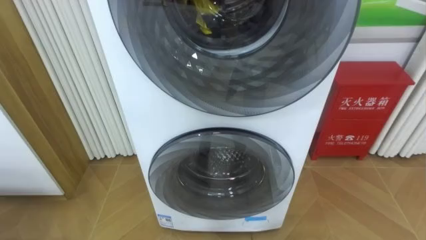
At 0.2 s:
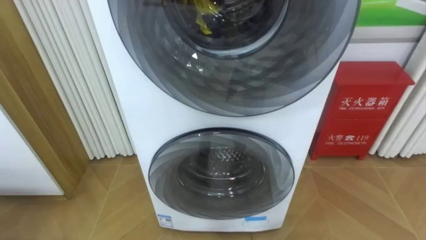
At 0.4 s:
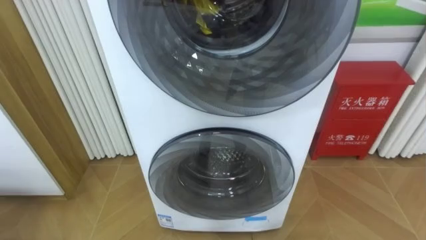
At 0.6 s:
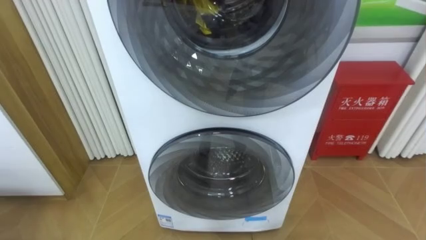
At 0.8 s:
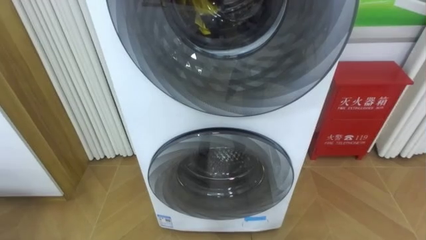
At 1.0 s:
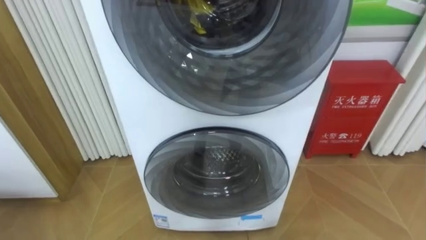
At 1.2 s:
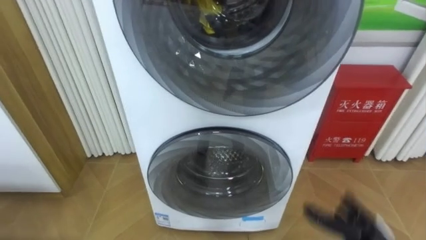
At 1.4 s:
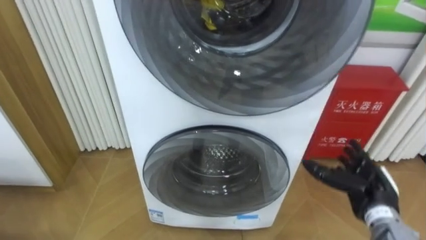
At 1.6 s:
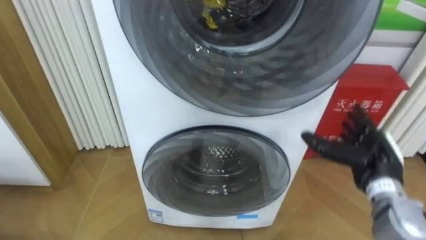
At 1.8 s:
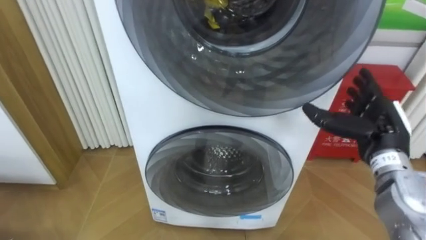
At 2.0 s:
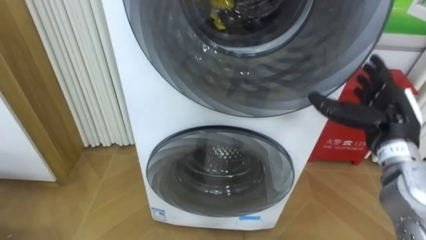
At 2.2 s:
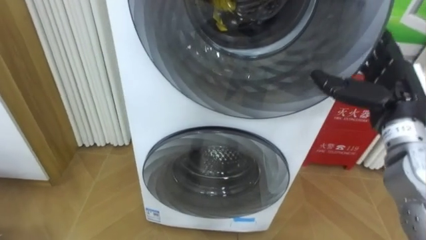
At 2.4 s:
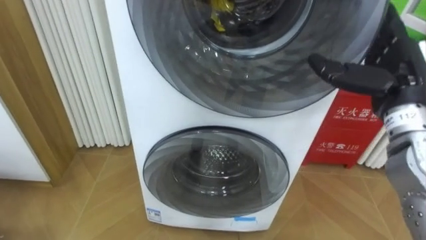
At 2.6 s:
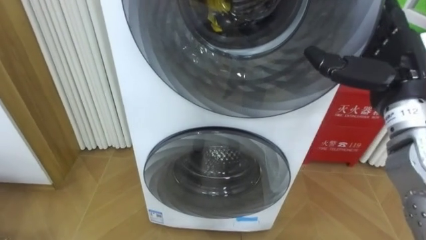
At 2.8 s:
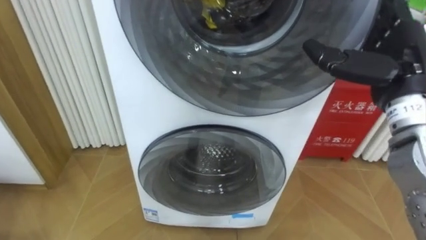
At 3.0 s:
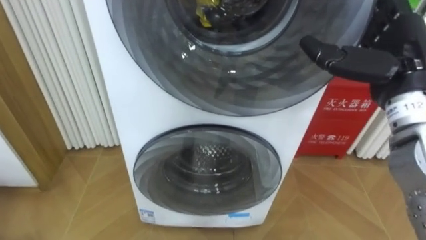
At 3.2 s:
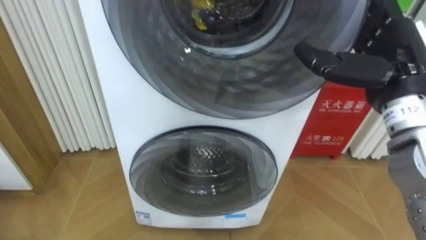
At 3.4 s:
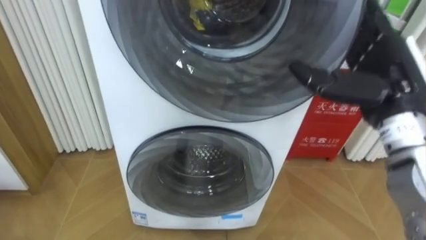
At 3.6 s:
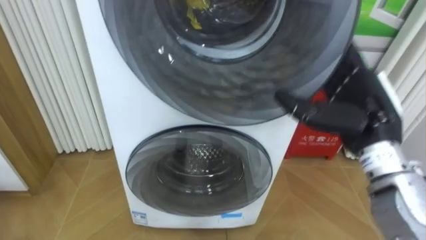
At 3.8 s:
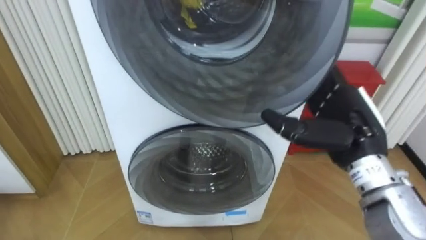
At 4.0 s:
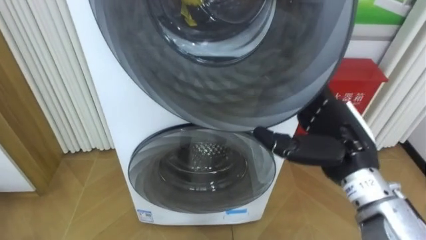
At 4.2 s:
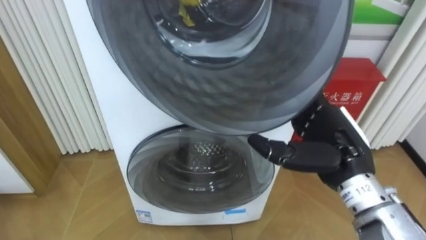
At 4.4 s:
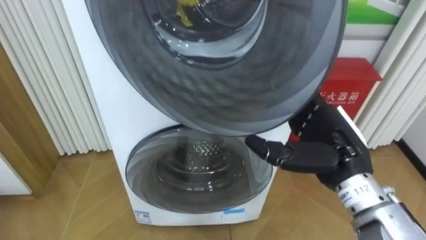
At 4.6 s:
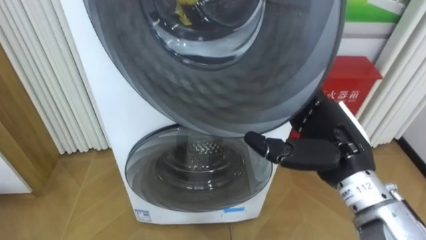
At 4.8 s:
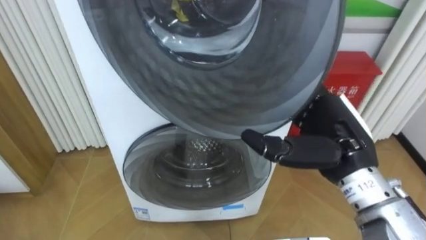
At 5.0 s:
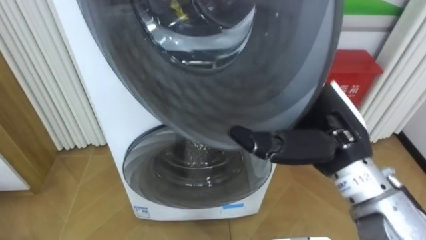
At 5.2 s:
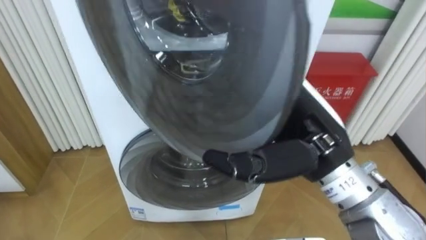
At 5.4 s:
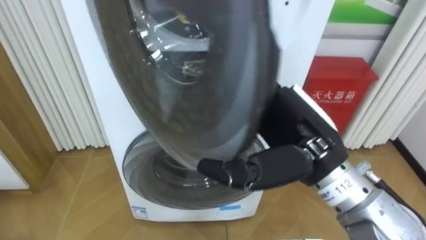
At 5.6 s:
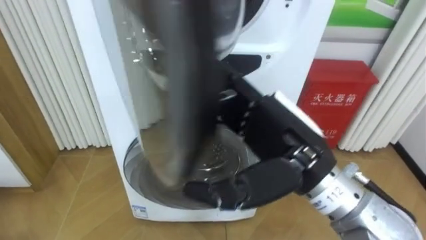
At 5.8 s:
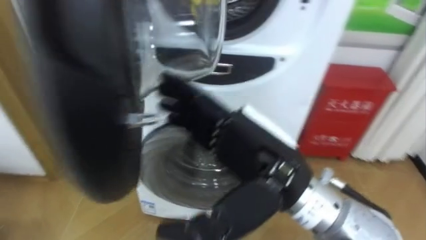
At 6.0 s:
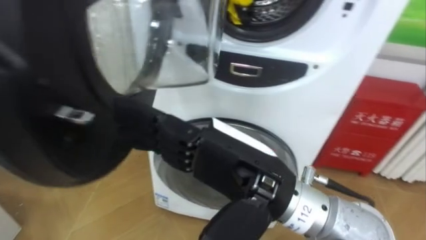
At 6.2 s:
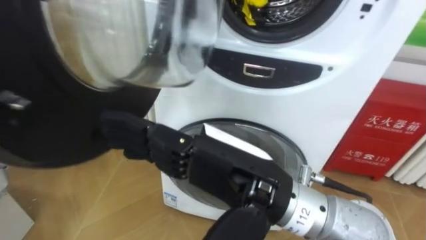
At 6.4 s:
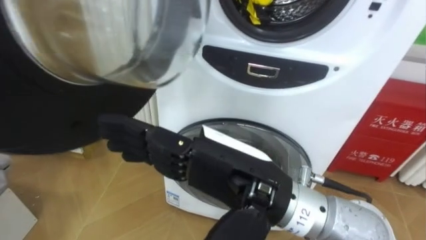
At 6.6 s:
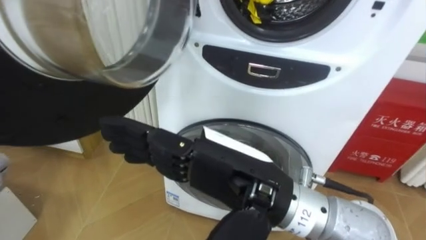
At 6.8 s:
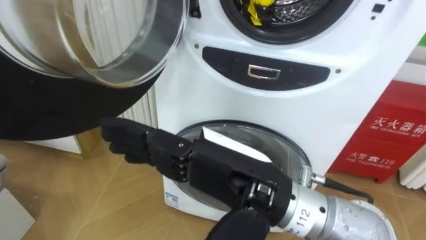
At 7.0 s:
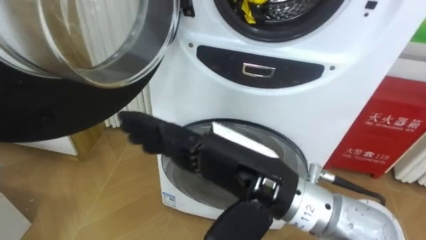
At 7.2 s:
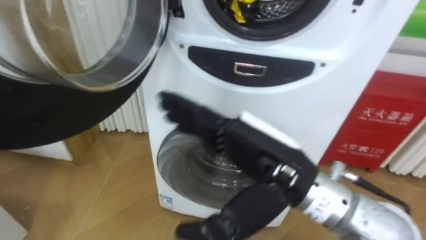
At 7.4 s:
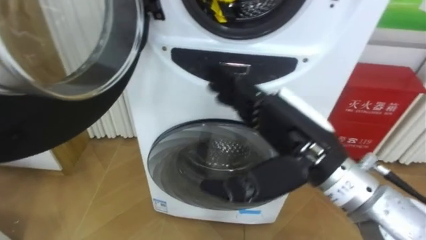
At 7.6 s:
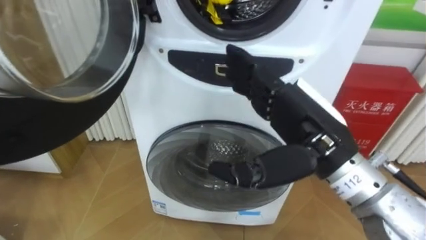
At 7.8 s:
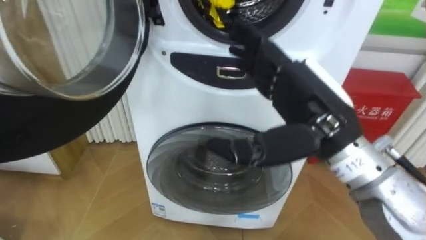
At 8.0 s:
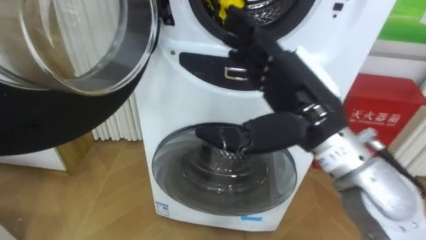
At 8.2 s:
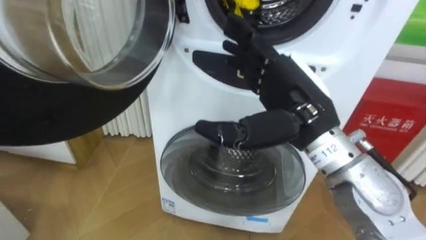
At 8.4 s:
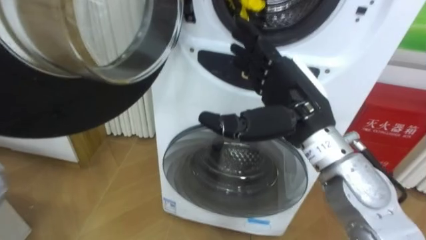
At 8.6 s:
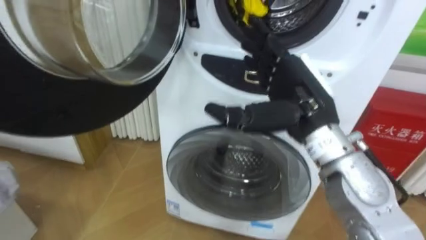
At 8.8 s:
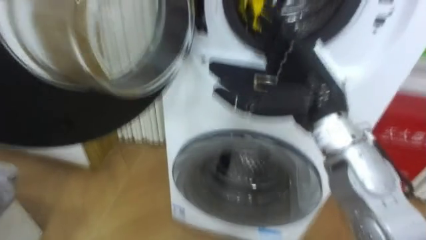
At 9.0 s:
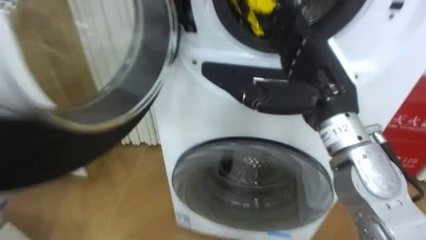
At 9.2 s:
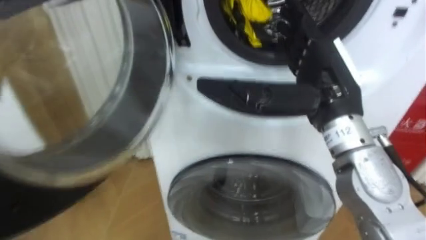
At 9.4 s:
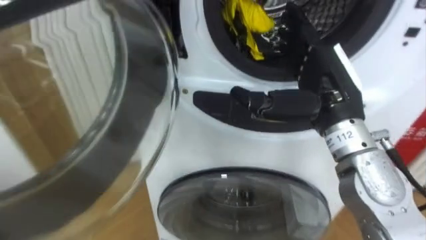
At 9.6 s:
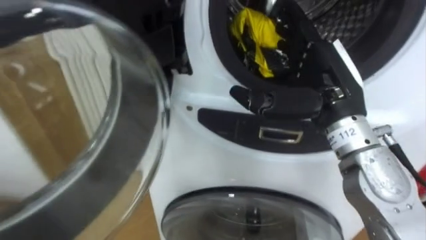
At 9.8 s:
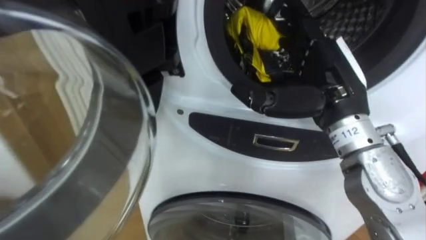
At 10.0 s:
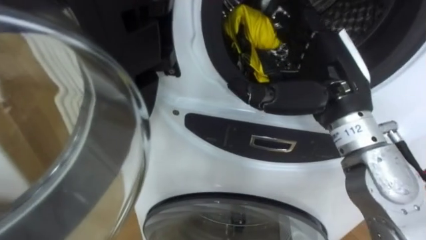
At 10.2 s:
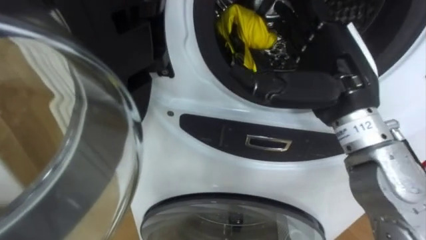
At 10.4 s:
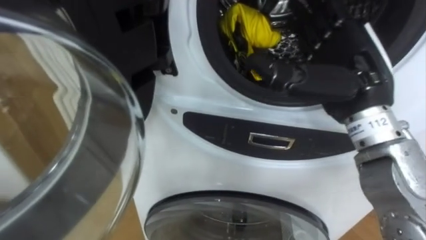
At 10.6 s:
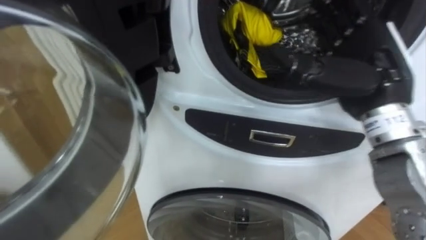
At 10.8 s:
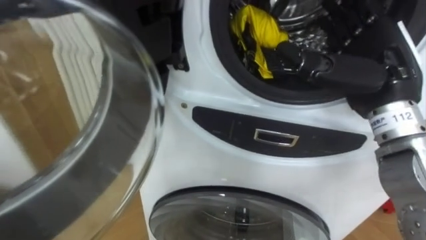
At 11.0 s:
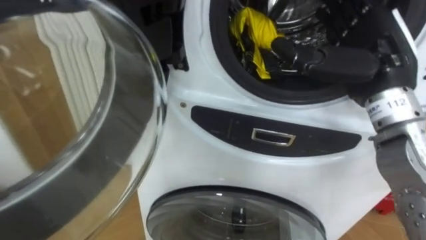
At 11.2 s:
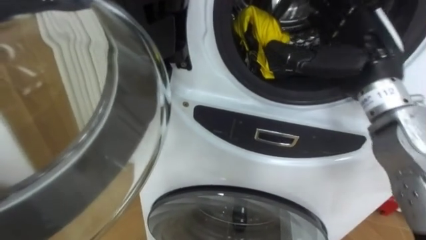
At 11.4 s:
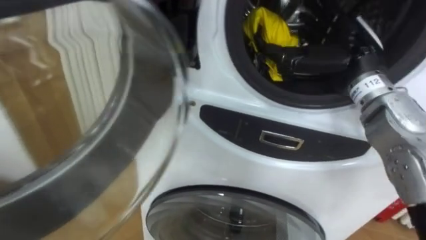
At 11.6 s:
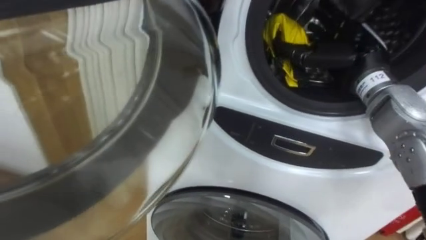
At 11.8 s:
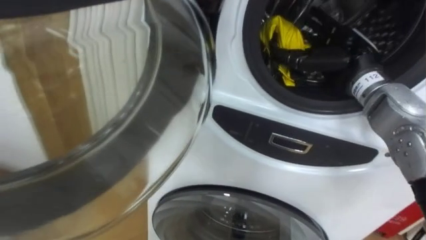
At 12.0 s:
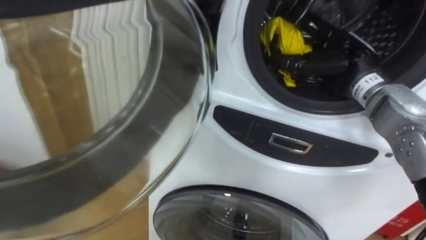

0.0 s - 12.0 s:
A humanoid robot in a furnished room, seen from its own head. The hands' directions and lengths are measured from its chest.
Task of the whole recording: Open the washing machine door, take out the yellow clothes, place them in the box on the right, and close the washing machine door.
1.6 s - 3.0 s: The right hand heads upward, covering roughly 20 cm.
3.0 s - 4.4 s: The right hand goes roughly 10 cm downward and to the left.
4.4 s - 6.0 s: The right hand travels to the left, backward and upward by some 20 cm.
6.0 s - 7.6 s: The right hand shifts approximately 10 cm to the right and forward.
7.6 s - 9.0 s: The right hand shifts some 5 cm forward.
10.4 s - 12.0 s: The right hand heads forward and downward, covering some 10 cm.

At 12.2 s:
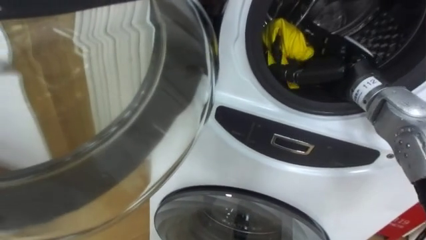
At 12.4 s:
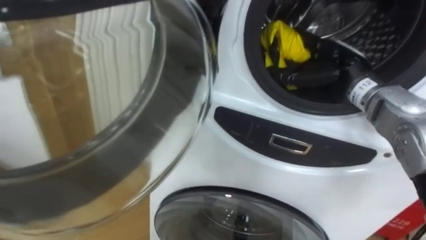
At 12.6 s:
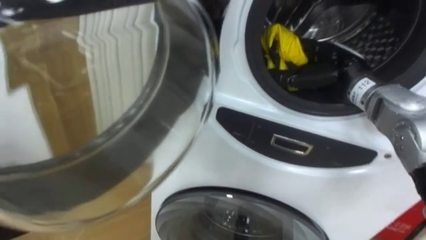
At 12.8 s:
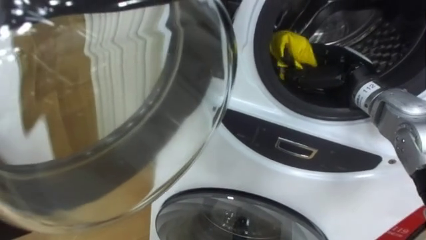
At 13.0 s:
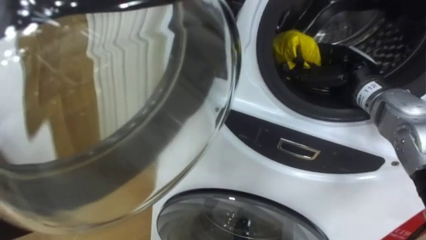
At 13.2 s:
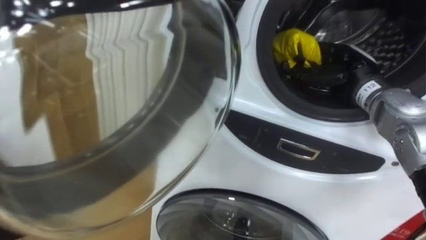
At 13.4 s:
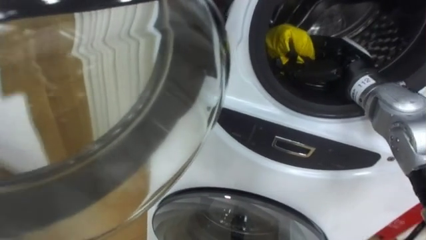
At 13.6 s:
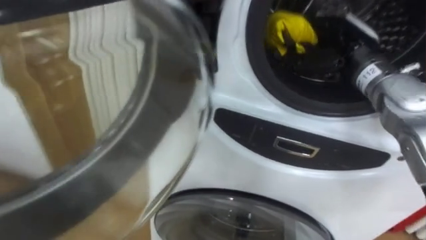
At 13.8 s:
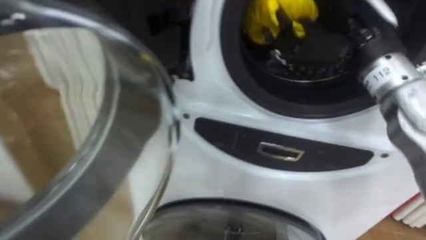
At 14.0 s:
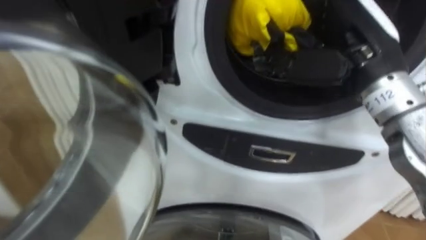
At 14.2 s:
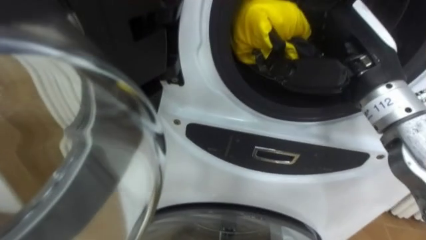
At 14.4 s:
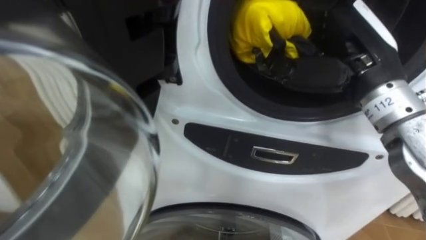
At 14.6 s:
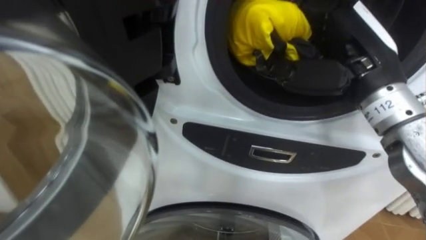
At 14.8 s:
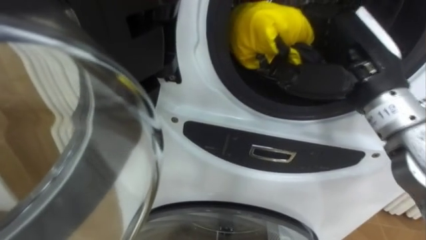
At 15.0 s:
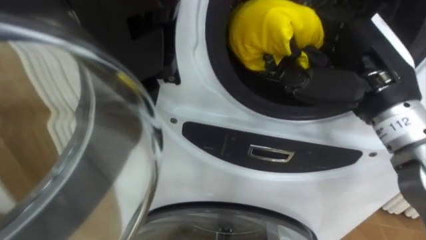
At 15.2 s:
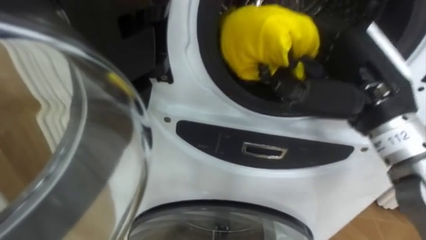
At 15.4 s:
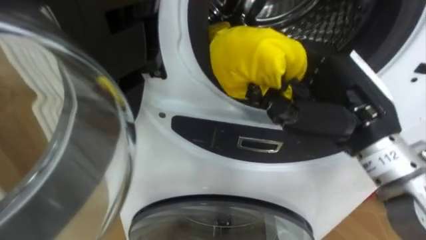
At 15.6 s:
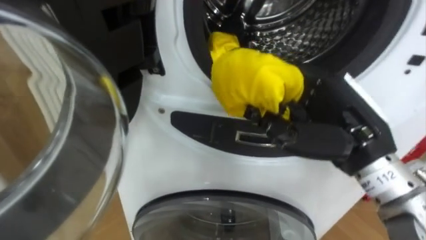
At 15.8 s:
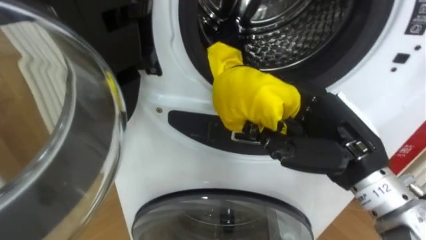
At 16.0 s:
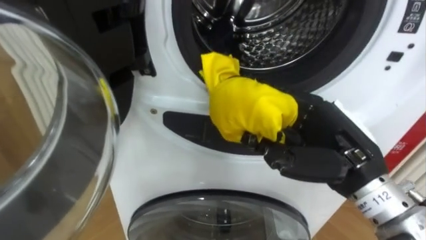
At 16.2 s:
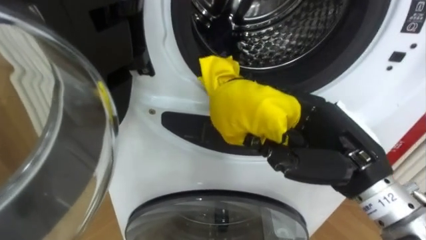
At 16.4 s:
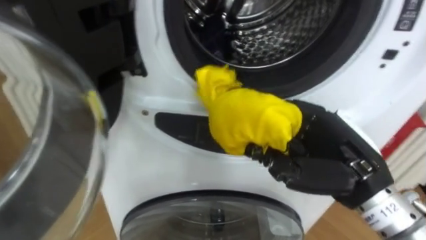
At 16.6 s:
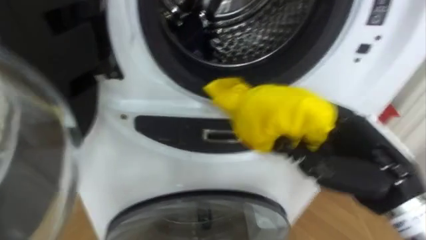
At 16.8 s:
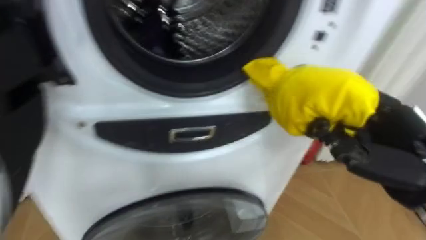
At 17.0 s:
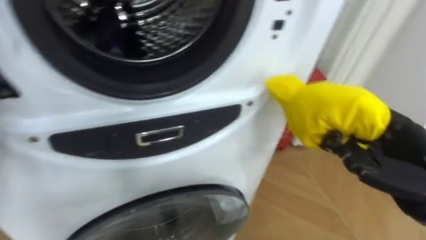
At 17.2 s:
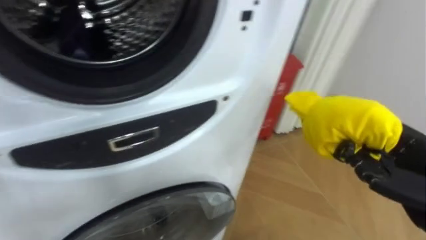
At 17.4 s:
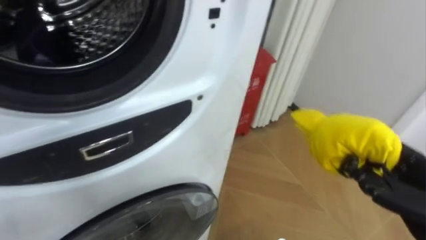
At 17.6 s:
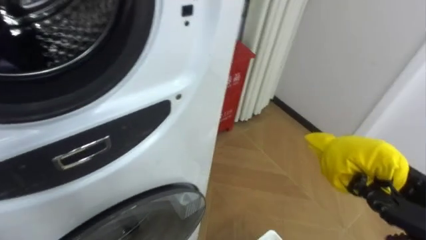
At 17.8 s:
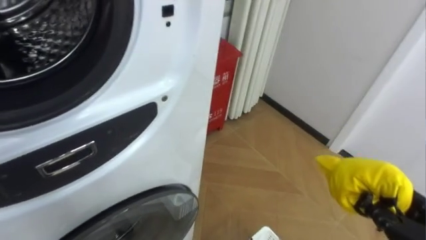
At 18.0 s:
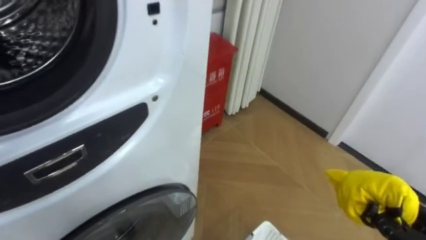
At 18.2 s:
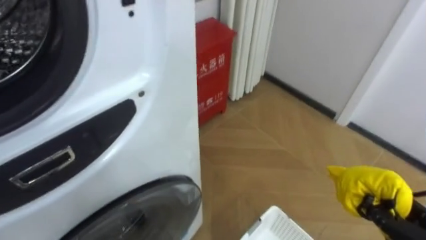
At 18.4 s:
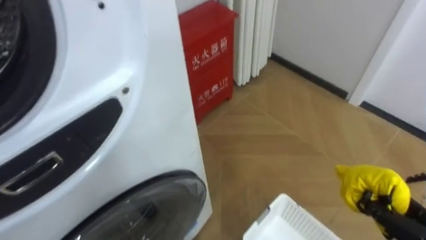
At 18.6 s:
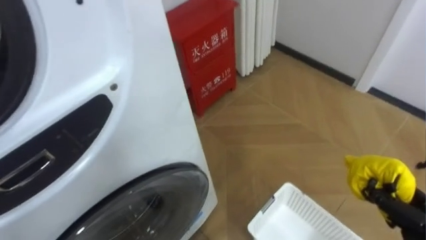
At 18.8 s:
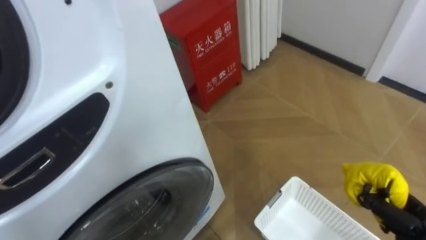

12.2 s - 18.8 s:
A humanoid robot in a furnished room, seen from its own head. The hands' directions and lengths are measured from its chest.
Task of the whole recording: Open the washing machine door, take out the yellow clothes, place them in the box on the right, and close the washing machine door.
12.2 s - 13.8 s: The right hand goes approximately 10 cm upward and backward, and closes.
13.8 s - 15.4 s: The right hand is displaced backward and downward by approximately 10 cm.
15.4 s - 17.2 s: The right hand goes some 15 cm to the right, downward and backward.
